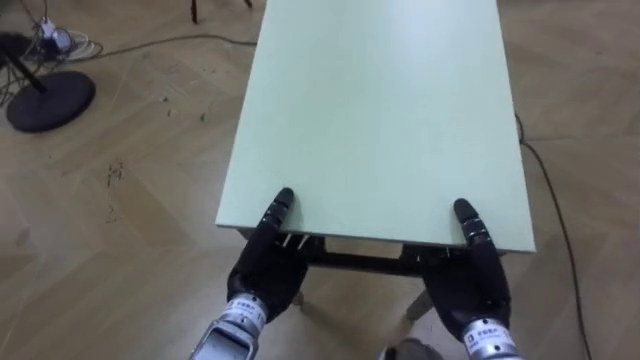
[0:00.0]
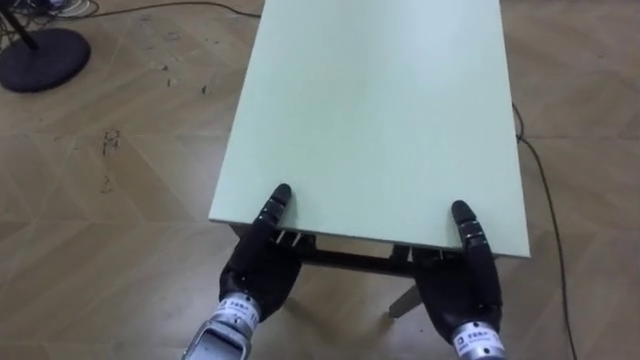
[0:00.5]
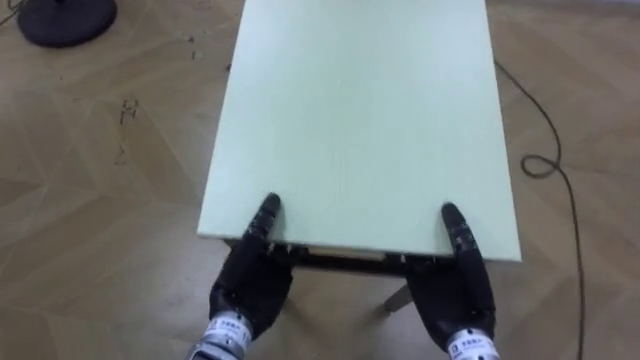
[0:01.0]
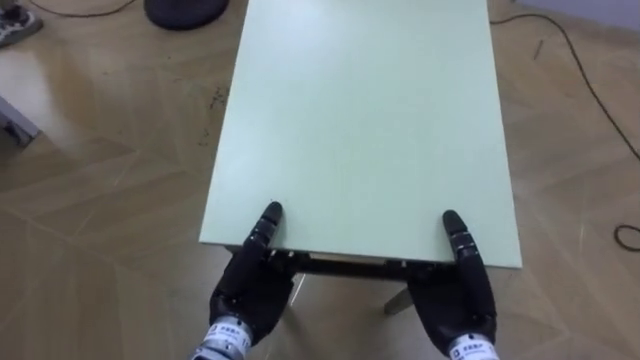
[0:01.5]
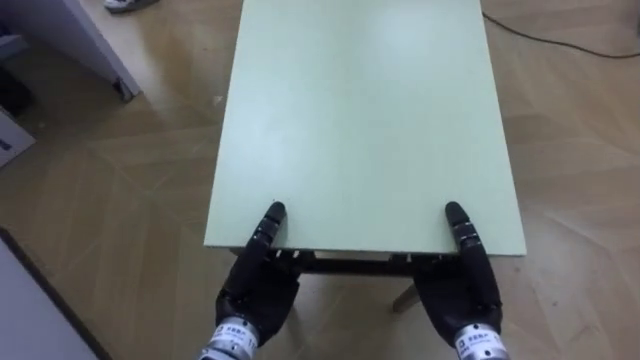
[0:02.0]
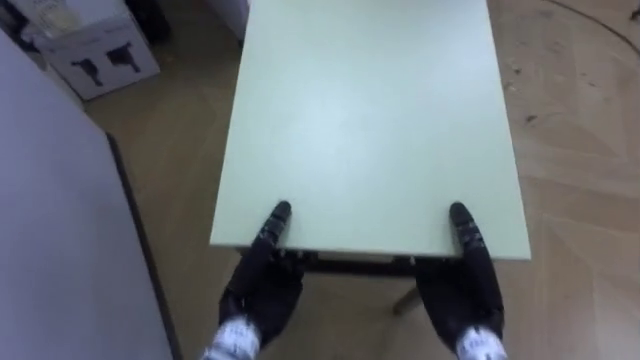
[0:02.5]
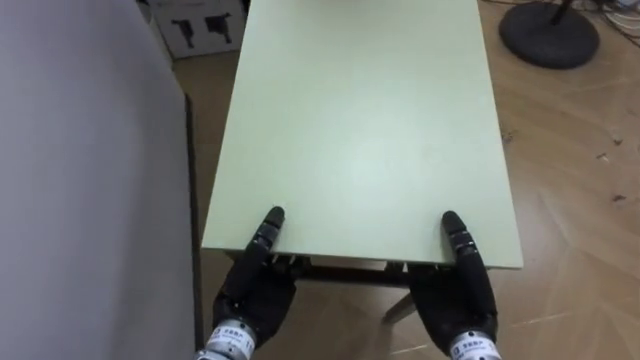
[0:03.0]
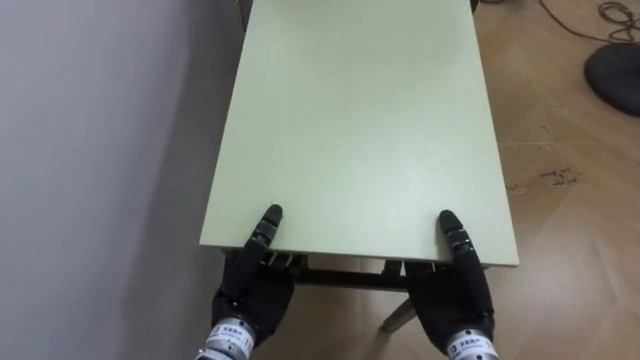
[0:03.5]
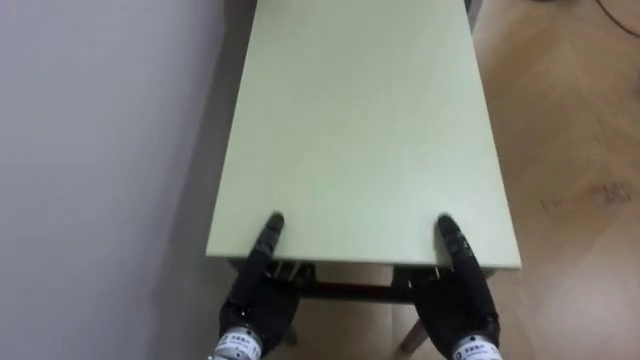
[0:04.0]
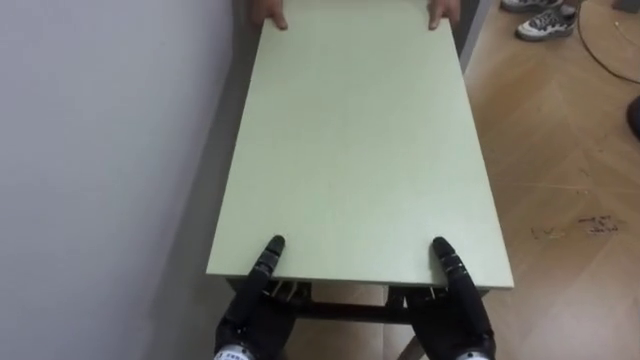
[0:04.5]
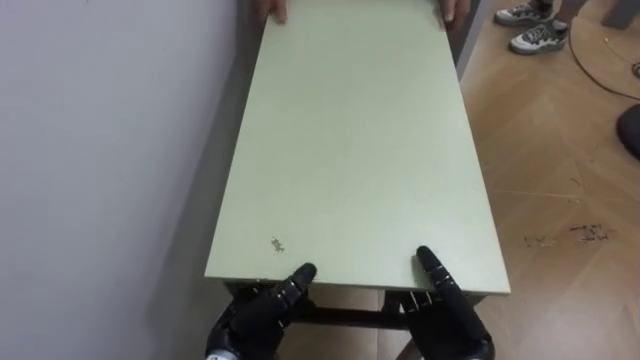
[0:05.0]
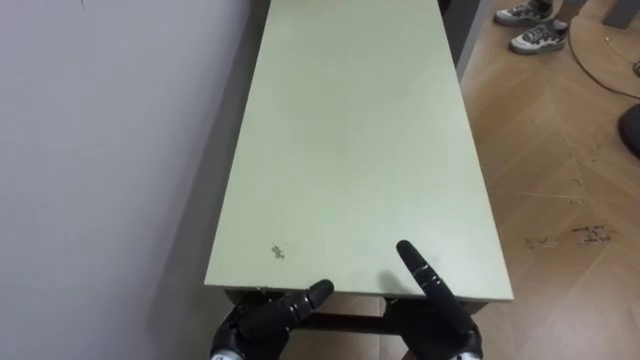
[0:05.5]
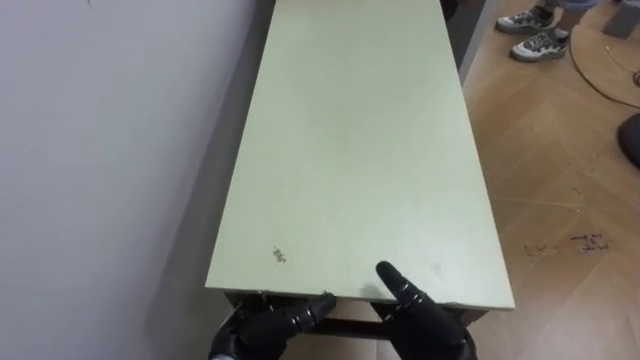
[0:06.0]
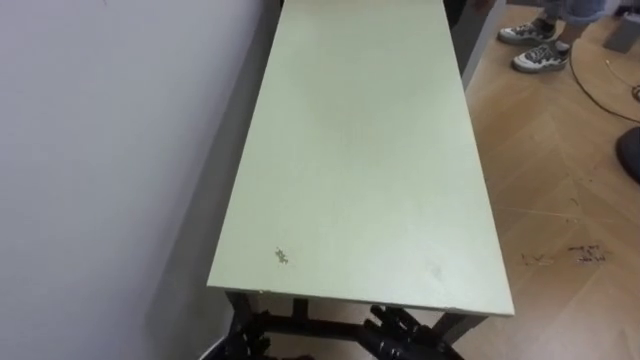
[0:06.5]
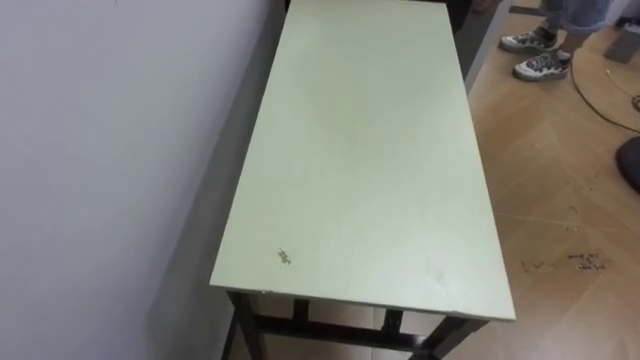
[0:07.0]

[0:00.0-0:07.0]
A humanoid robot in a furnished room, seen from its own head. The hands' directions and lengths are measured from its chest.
Task of the whole recording: Move the table to the back left with someone.
0:02.0 to 0:03.5: The robot turns to its left by about 55 degrees.
0:03.5 to 0:05.0: The left hand shifts about 5 cm downward.

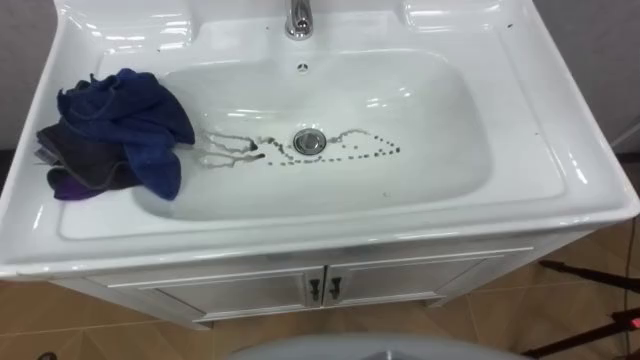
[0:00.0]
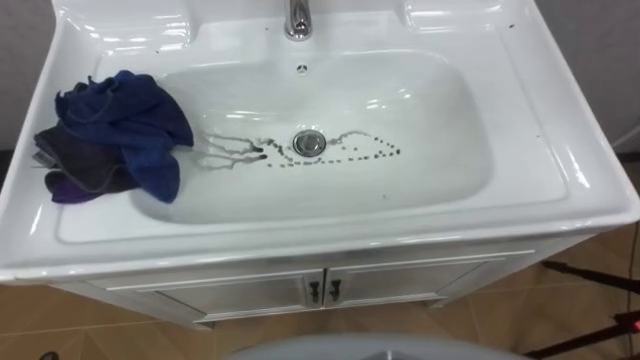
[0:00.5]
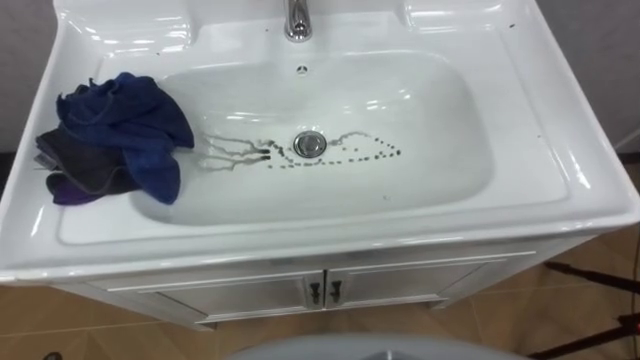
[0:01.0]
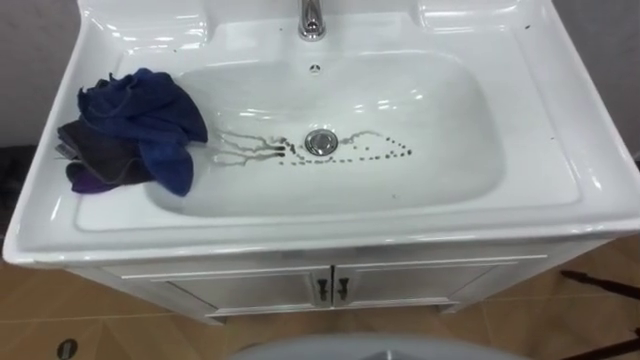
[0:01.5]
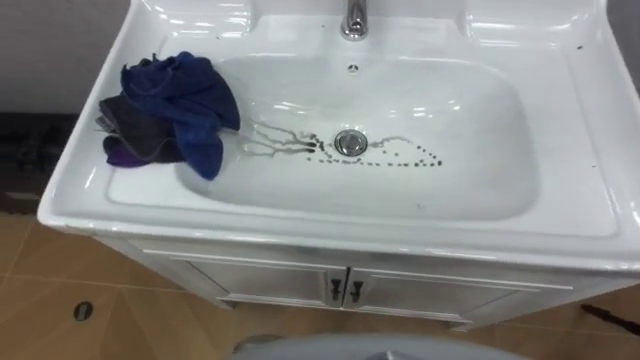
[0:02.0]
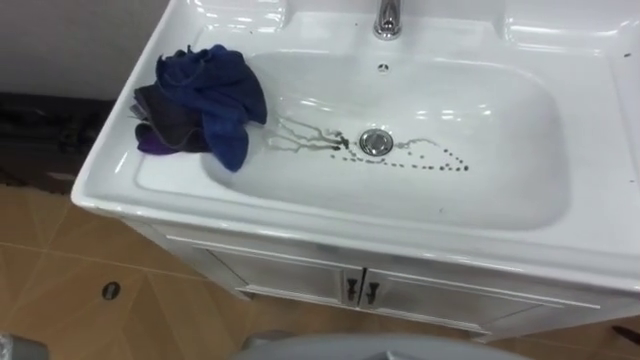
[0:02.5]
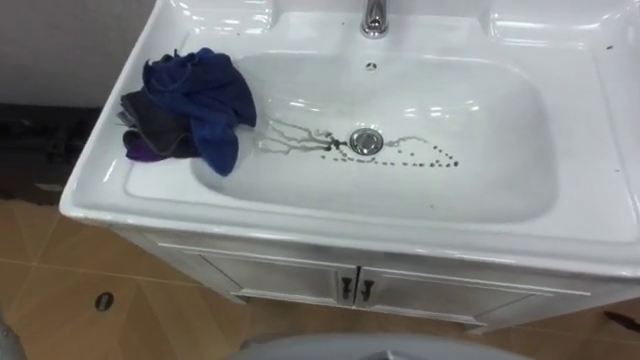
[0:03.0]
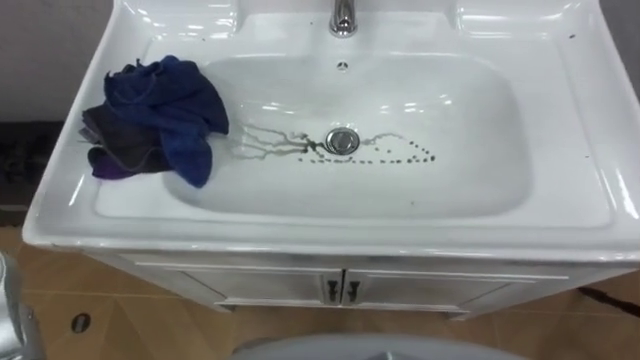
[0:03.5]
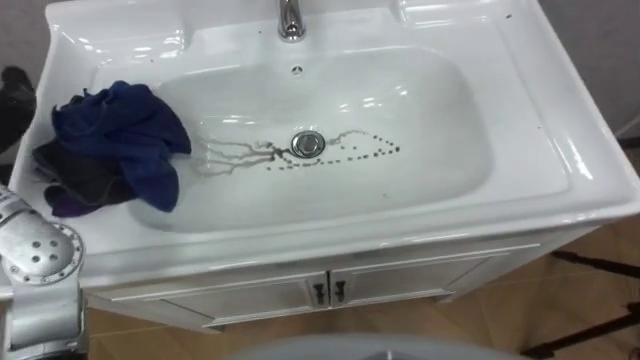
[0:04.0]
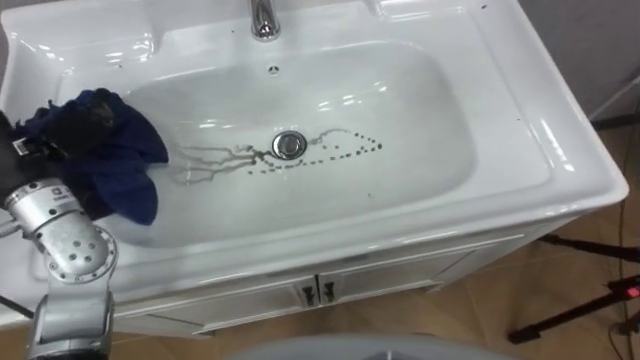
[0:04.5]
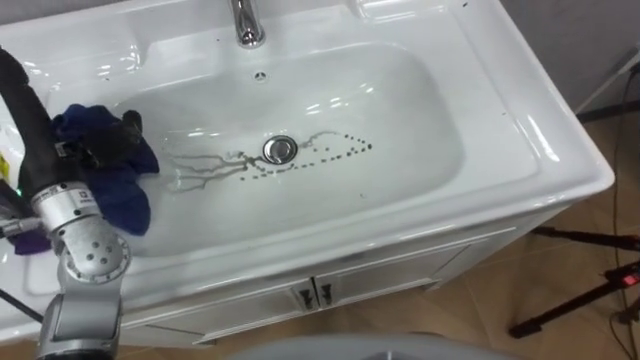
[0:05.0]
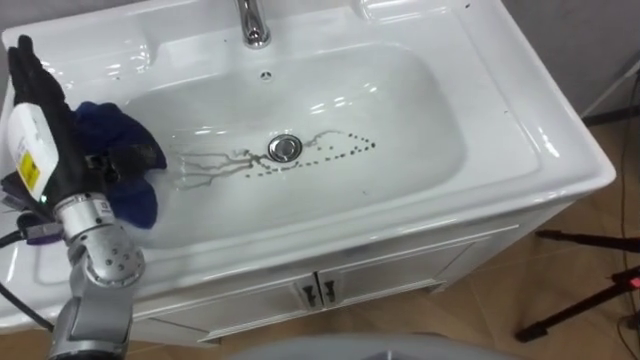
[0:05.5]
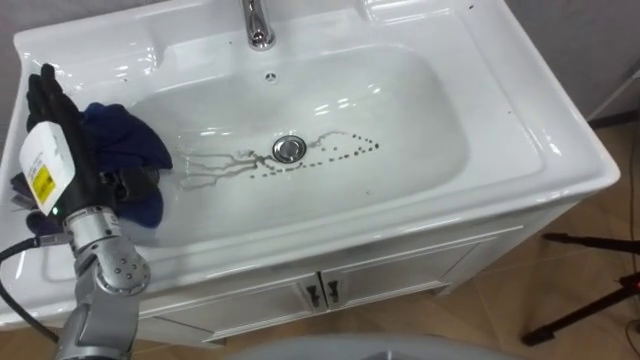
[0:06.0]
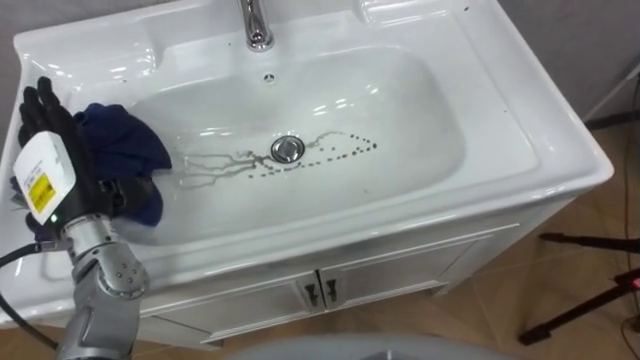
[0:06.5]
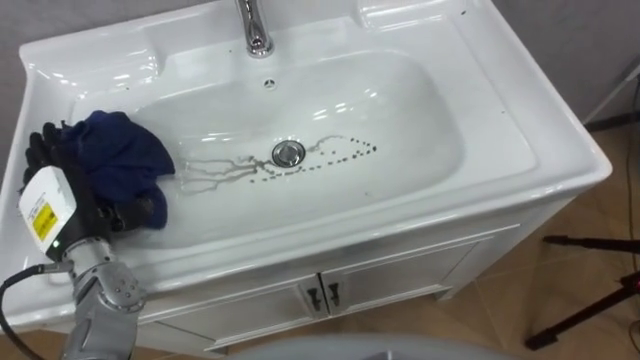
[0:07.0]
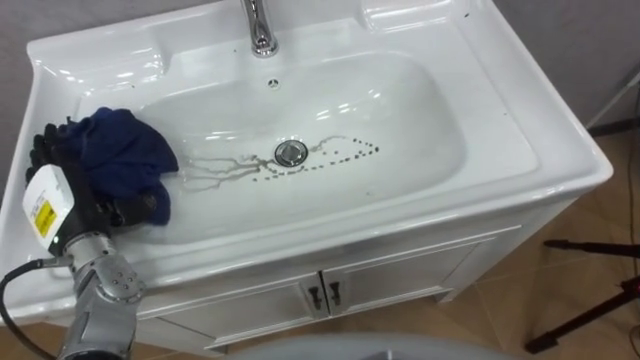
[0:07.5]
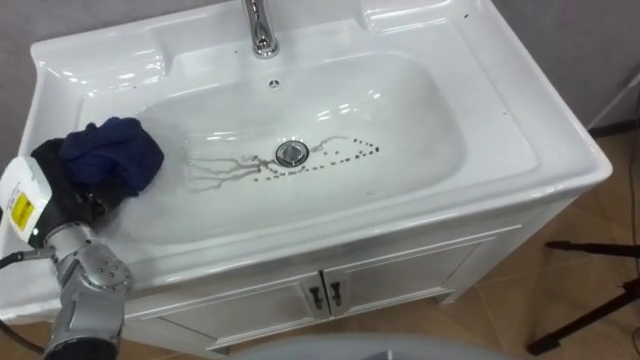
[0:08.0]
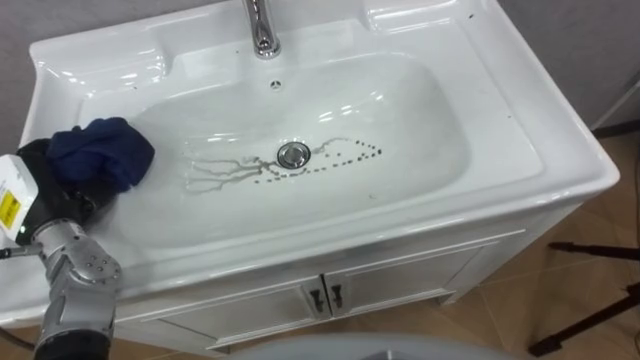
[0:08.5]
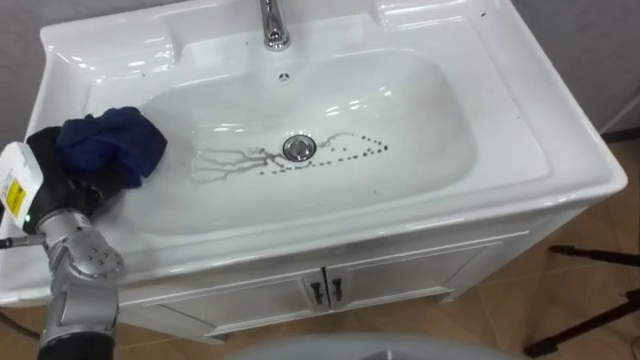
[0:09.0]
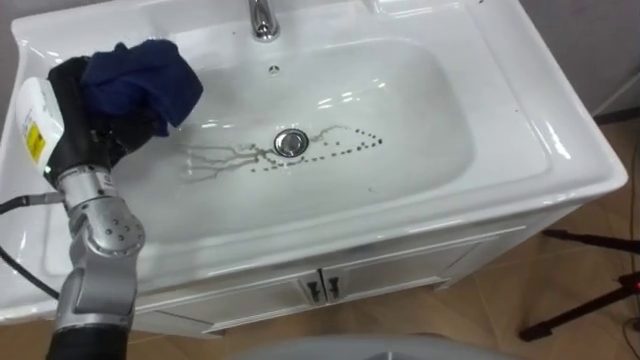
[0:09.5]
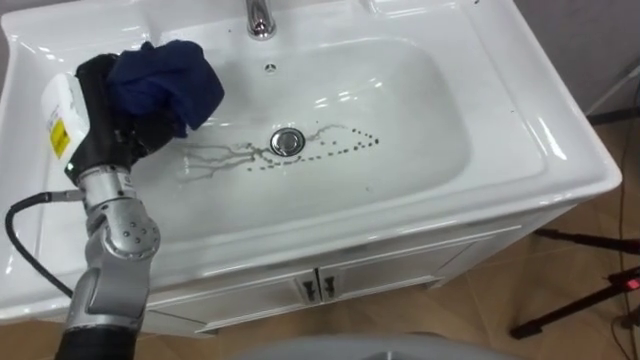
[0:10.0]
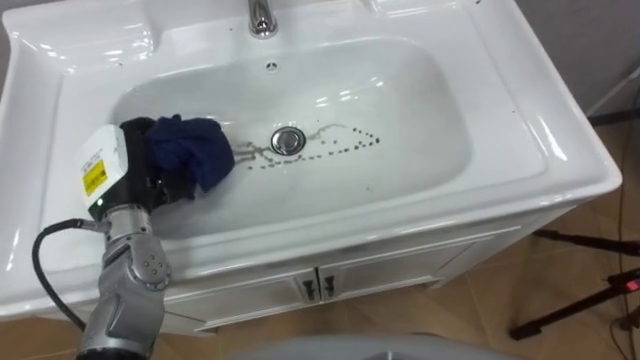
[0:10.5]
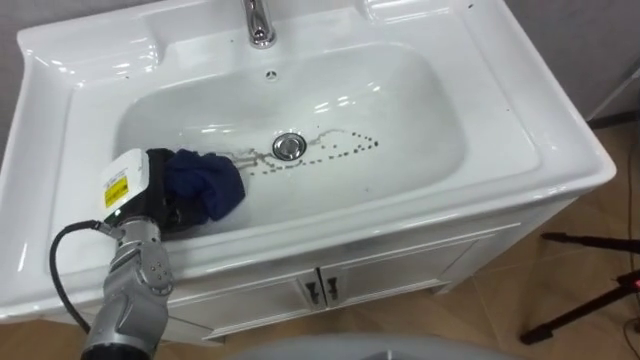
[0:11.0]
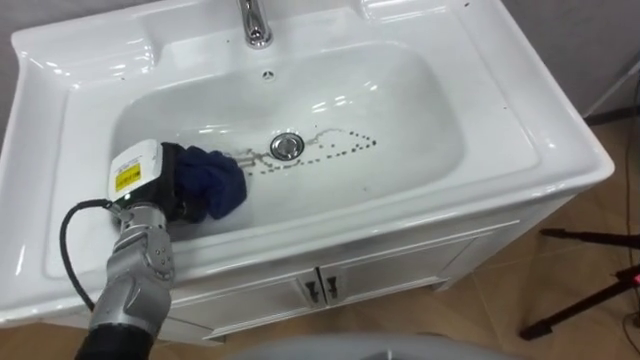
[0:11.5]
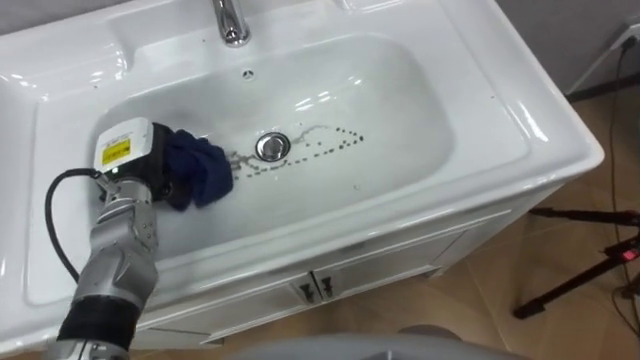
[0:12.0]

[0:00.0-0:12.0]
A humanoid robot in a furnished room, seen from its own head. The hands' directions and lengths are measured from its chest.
Task of the whole recording: Use the cloth on the right to wipe away the black stain in the sink.
0:06.0 to 0:08.0: The left hand shifts some 5 cm downward, and closes.
0:08.0 to 0:10.0: The left hand shifts roughly 15 cm upward, to the right and forward.
0:10.0 to 0:12.0: The left hand goes roughly 10 cm downward.

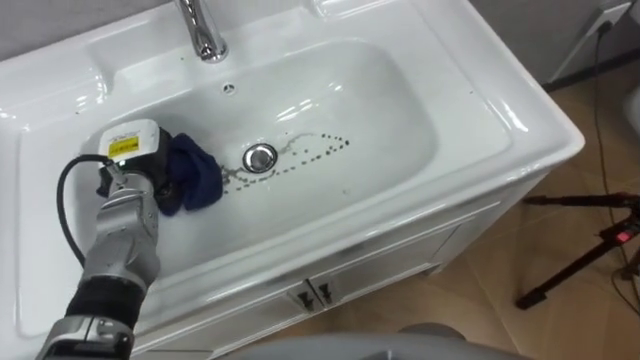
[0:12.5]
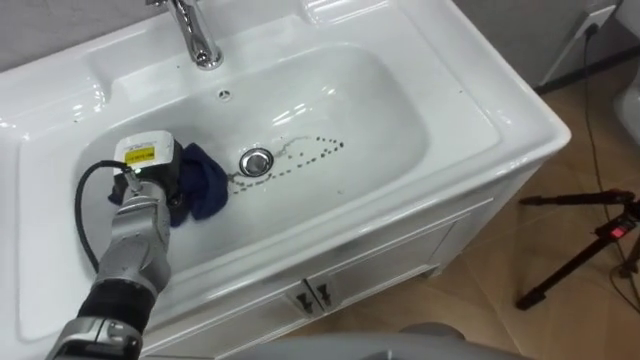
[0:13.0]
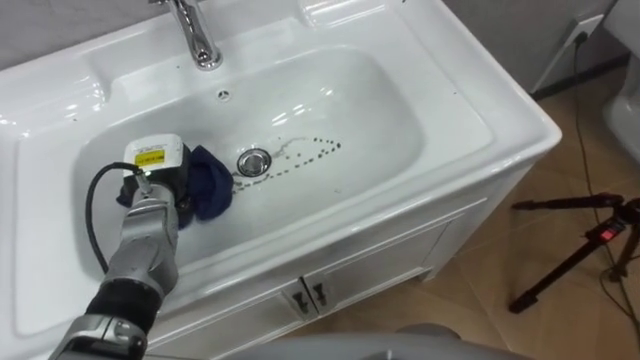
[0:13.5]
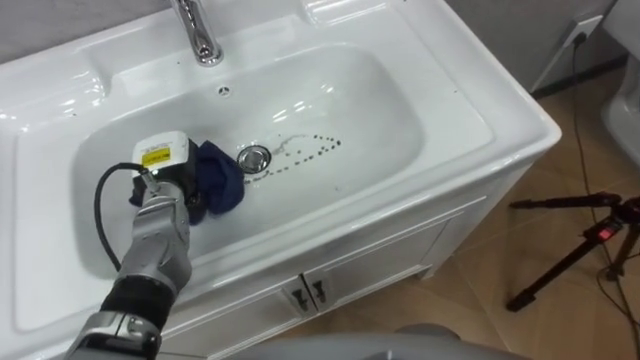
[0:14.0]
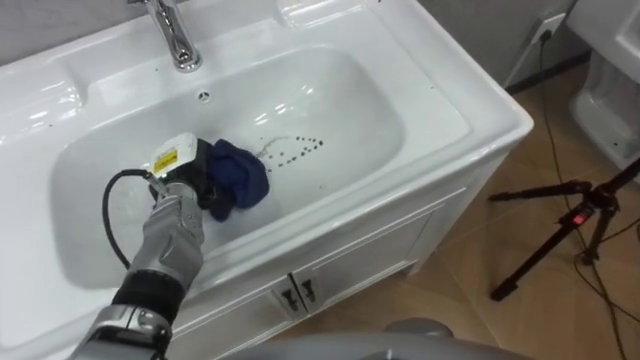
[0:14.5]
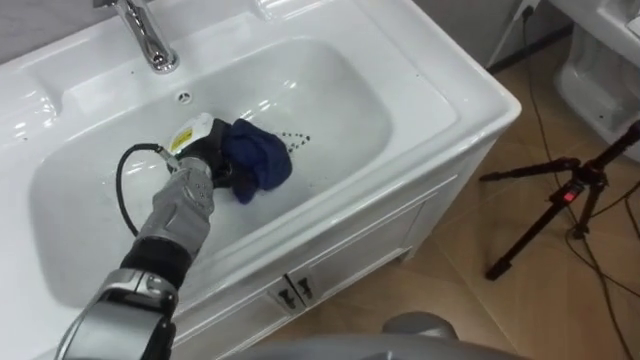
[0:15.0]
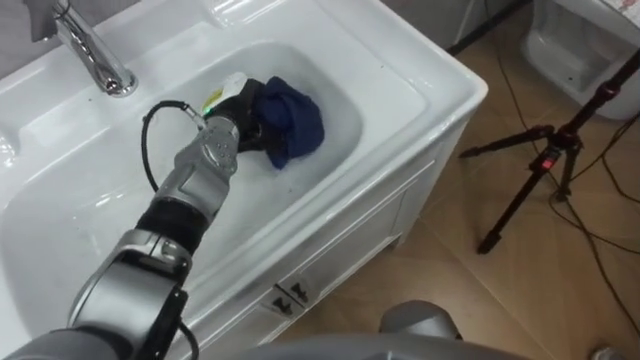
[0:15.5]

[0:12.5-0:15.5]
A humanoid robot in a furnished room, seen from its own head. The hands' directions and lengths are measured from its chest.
Task of the whole recording: Use the cloth on the right to wipe away the black stain in the sink.
0:14.0 to 0:15.5: The left hand goes approximately 10 cm to the right and forward.
